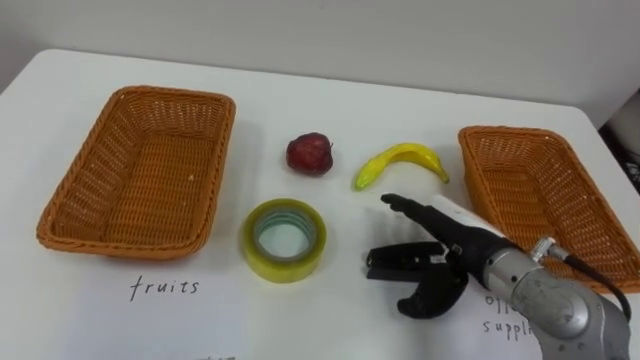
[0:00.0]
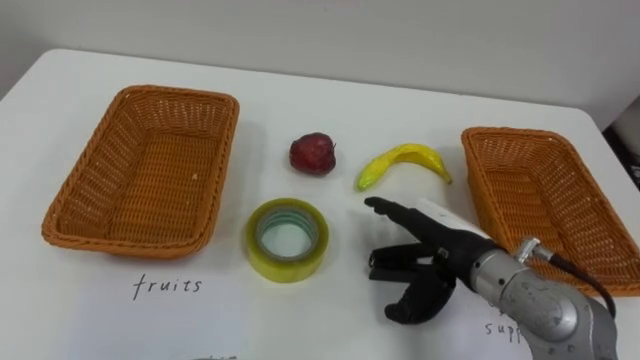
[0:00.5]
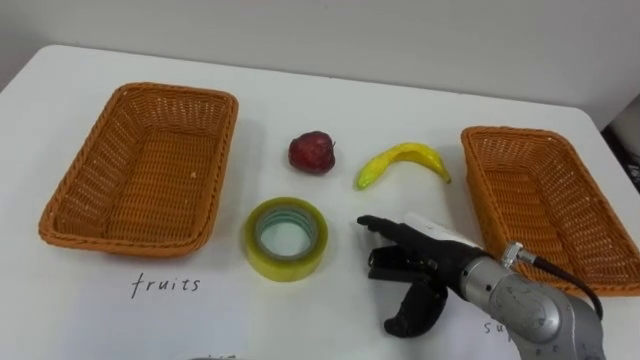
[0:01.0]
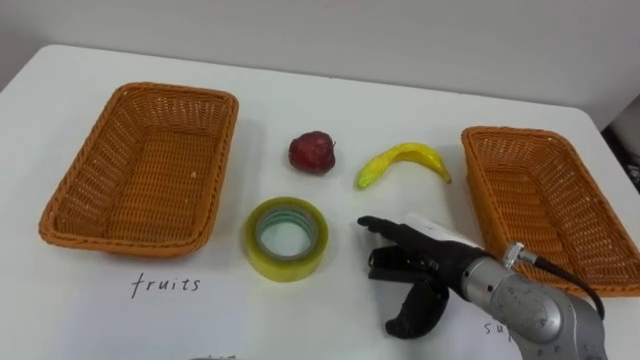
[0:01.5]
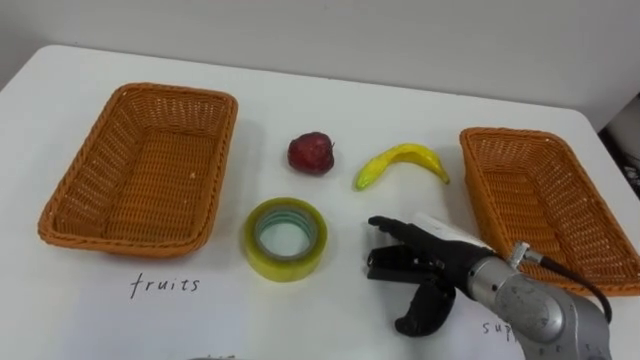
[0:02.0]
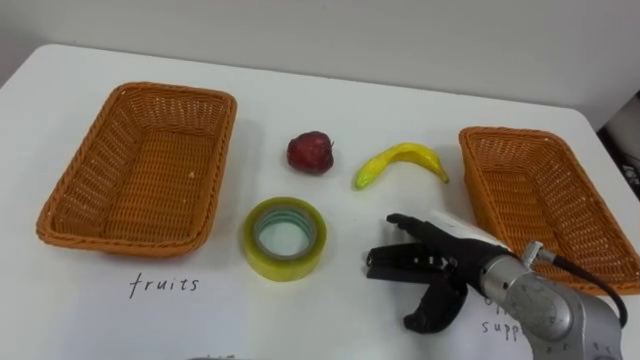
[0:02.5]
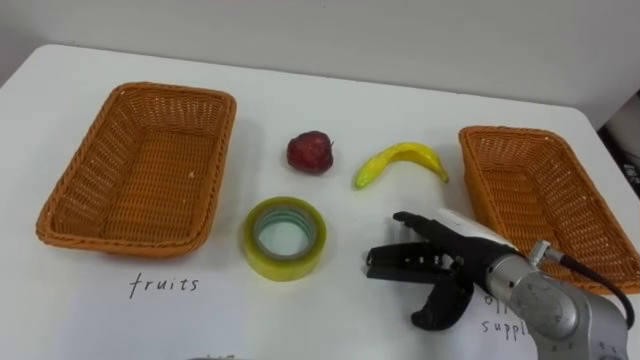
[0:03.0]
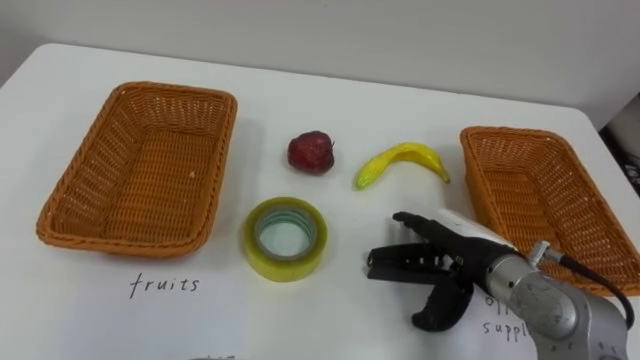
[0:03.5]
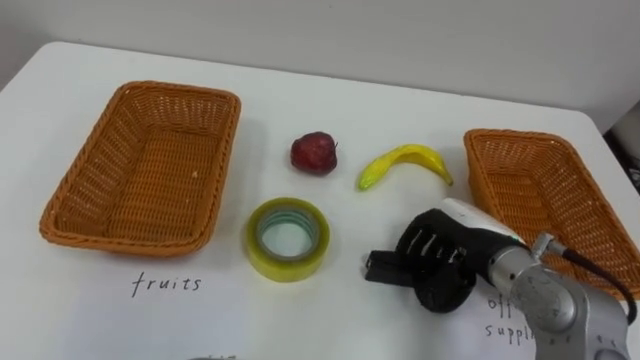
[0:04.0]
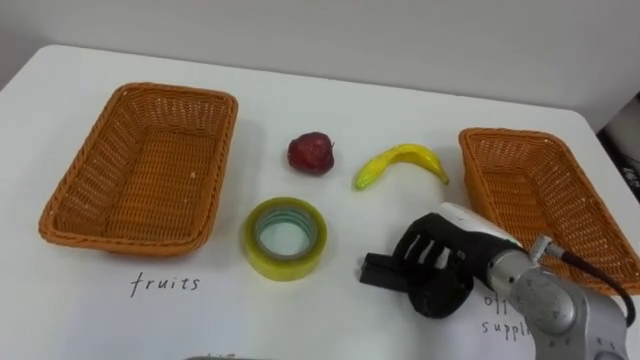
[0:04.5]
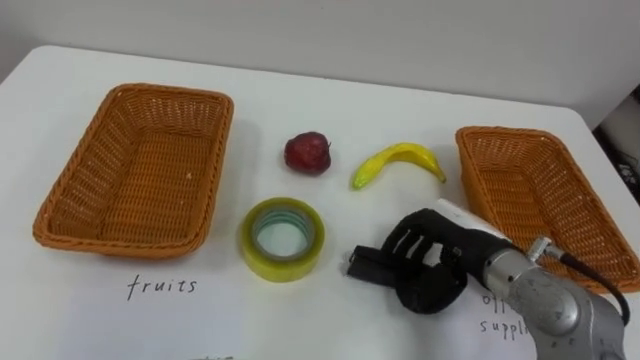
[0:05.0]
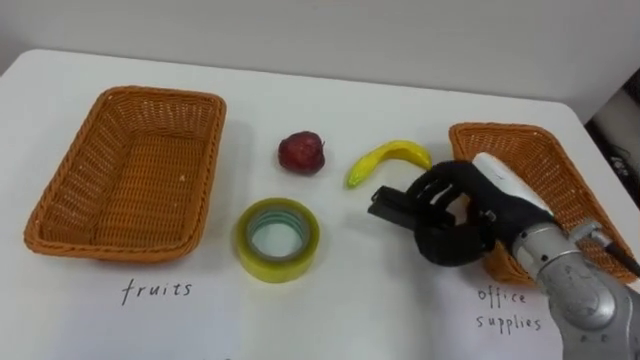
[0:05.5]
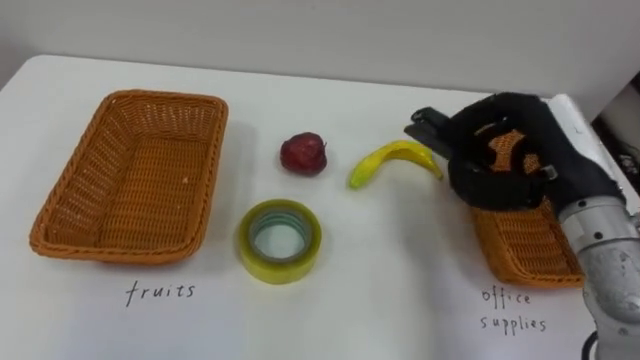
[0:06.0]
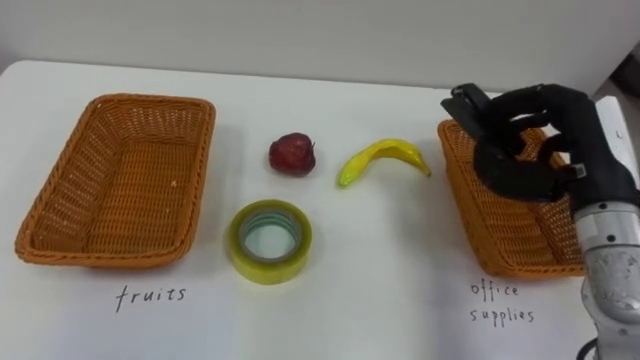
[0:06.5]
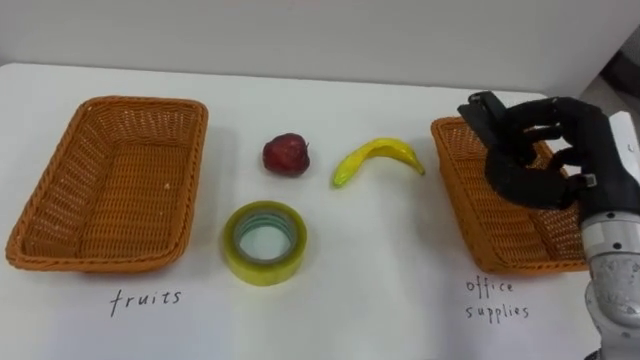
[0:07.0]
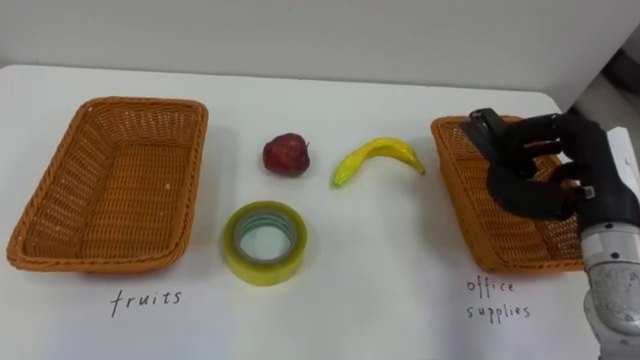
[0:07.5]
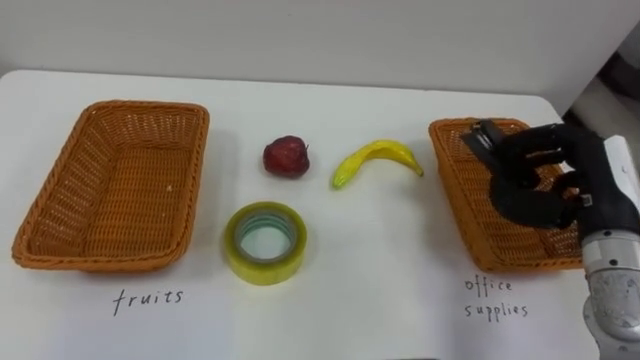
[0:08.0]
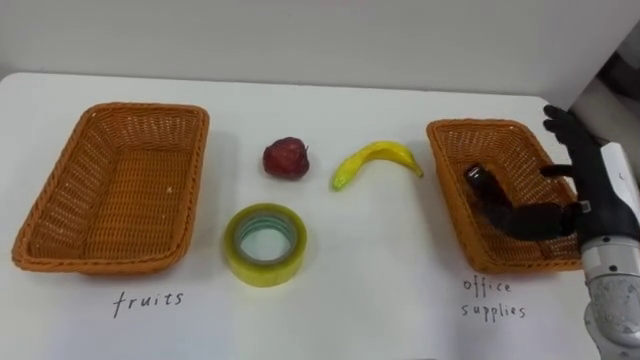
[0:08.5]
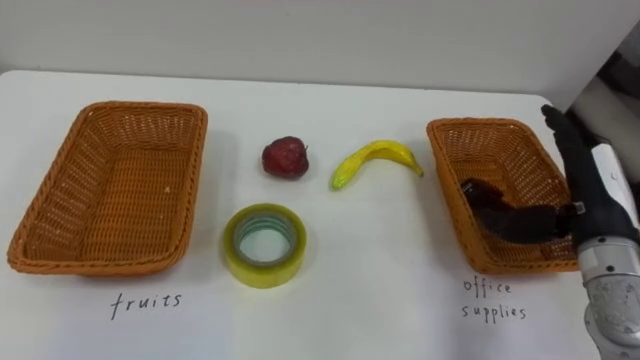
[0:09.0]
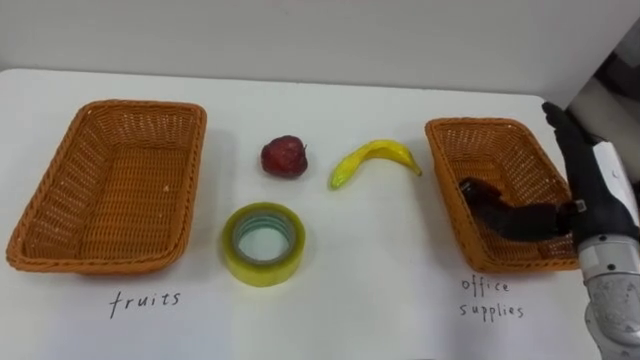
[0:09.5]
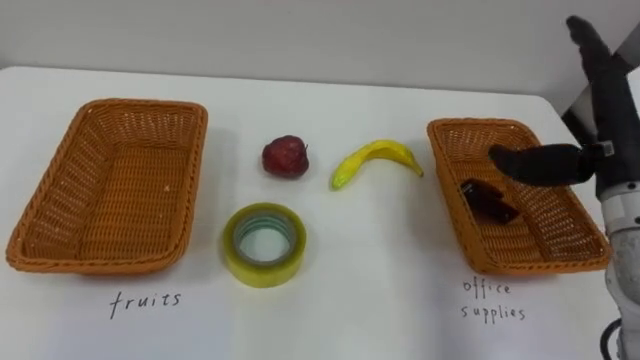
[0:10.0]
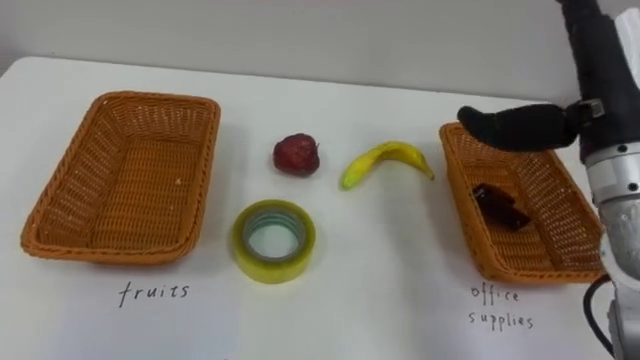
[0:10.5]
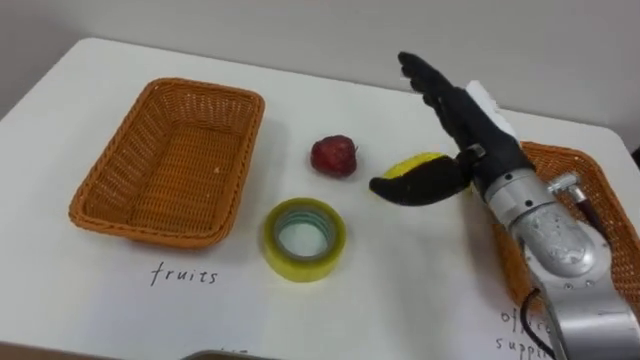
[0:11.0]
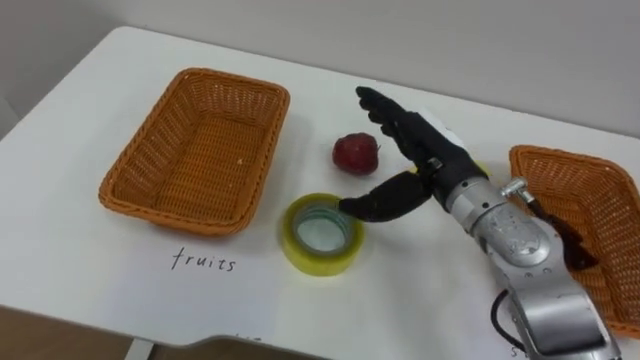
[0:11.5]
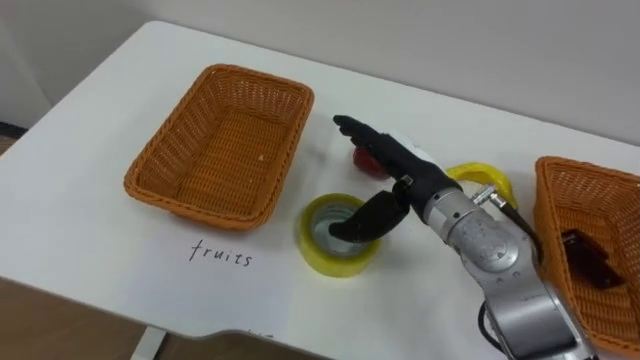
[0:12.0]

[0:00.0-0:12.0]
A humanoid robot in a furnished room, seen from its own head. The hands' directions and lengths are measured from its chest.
Task of the whole recording: Separate the items on the table and place them into the two baskets.
0:02.0 to 0:04.0: The right hand closes.
0:04.0 to 0:06.0: The right hand is displaced upward and to the right by roughly 15 cm.
0:06.0 to 0:08.0: The right hand travels to the right by roughly 5 cm.
0:08.0 to 0:10.0: The right hand goes roughly 5 cm upward, and opens up.
0:10.0 to 0:12.0: The right hand goes approximately 20 cm to the left and downward.

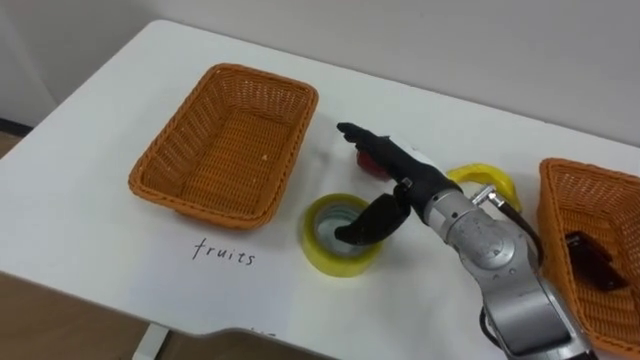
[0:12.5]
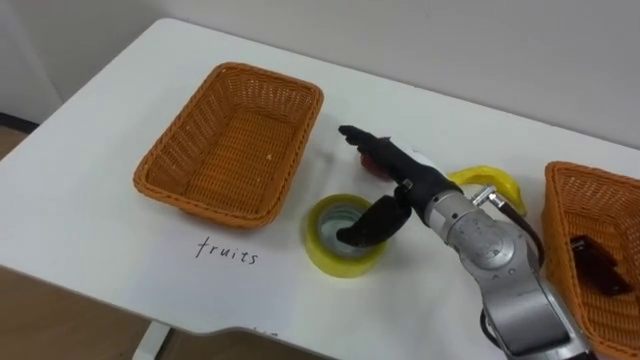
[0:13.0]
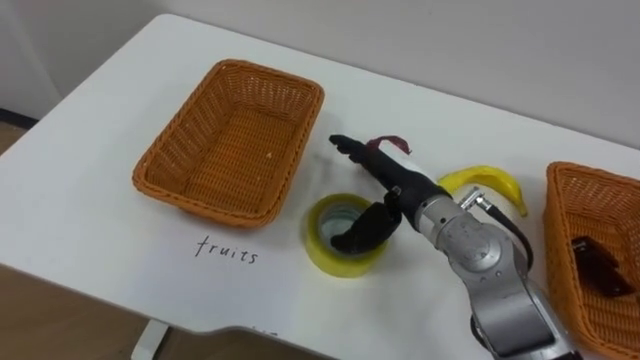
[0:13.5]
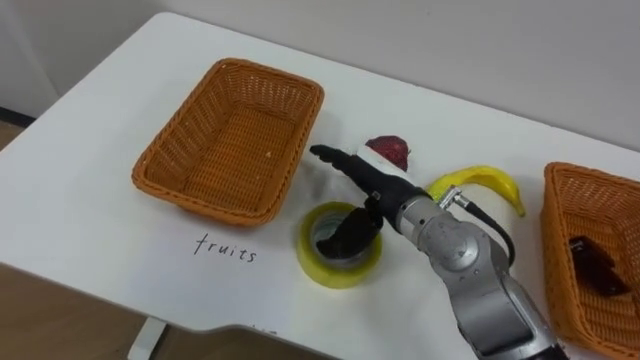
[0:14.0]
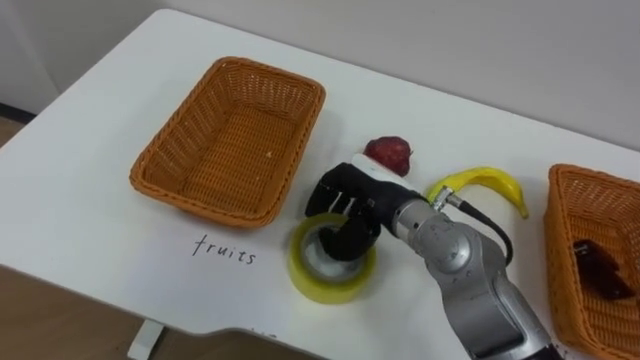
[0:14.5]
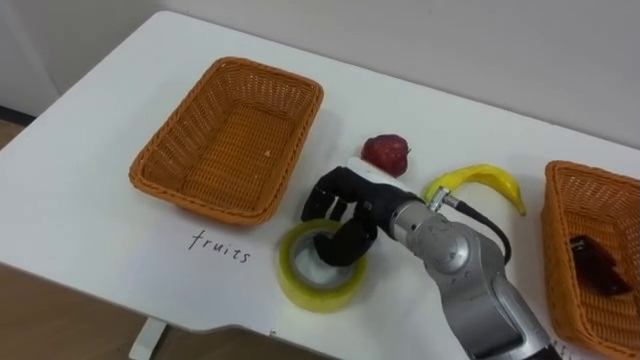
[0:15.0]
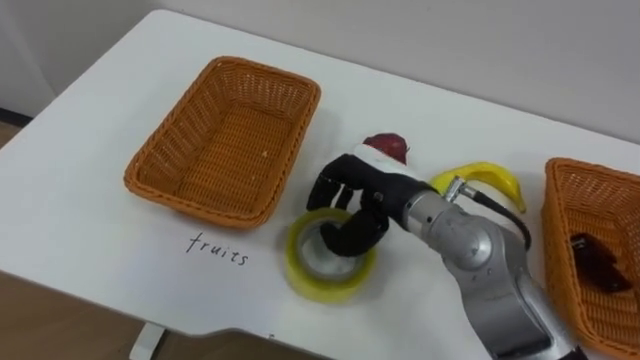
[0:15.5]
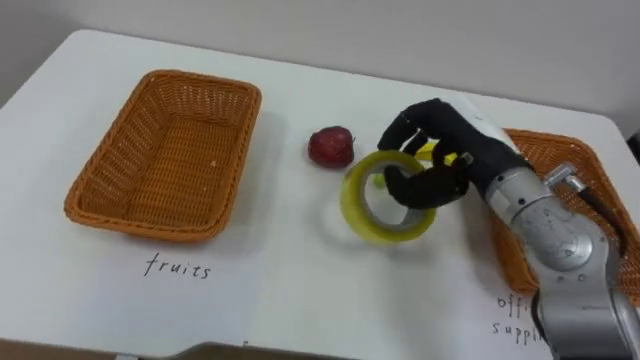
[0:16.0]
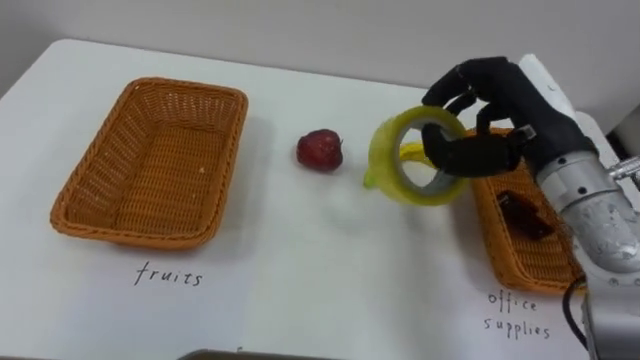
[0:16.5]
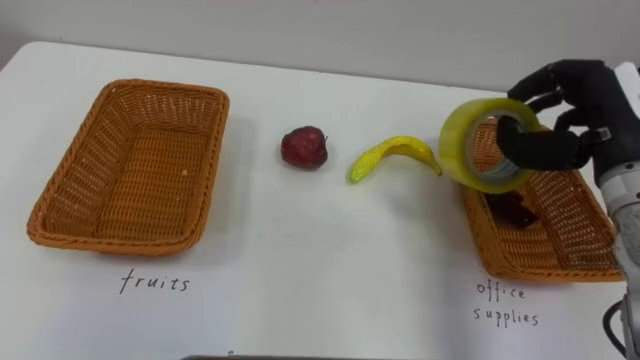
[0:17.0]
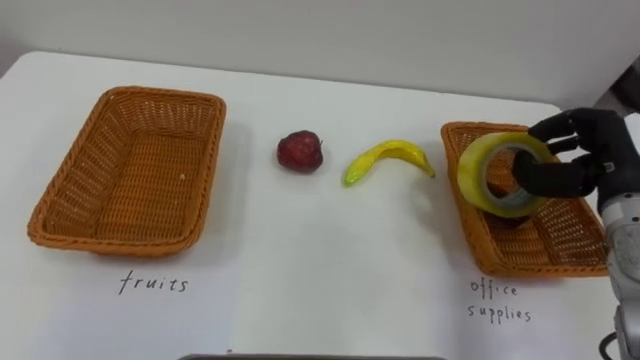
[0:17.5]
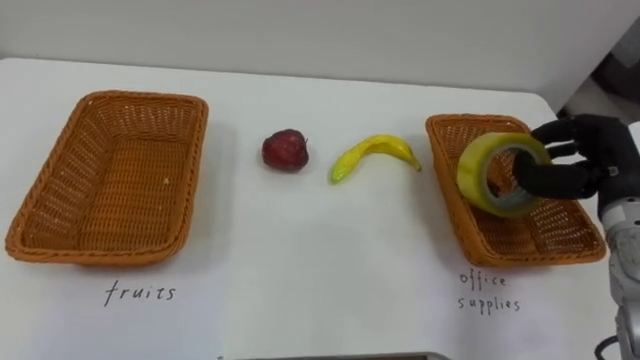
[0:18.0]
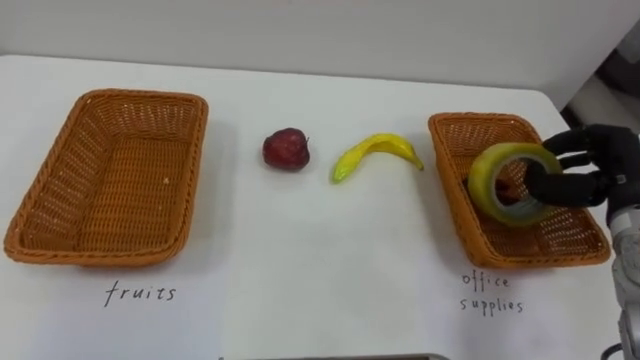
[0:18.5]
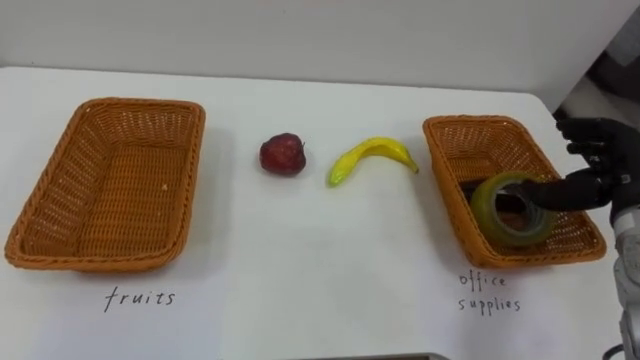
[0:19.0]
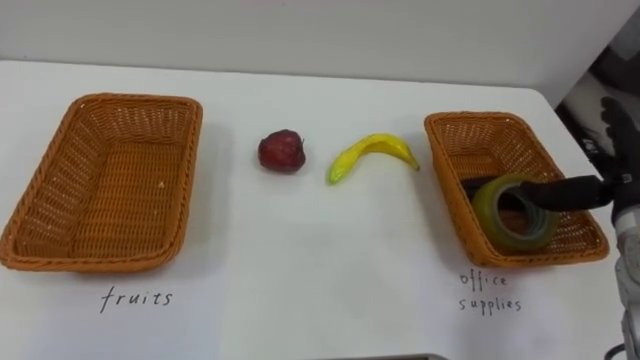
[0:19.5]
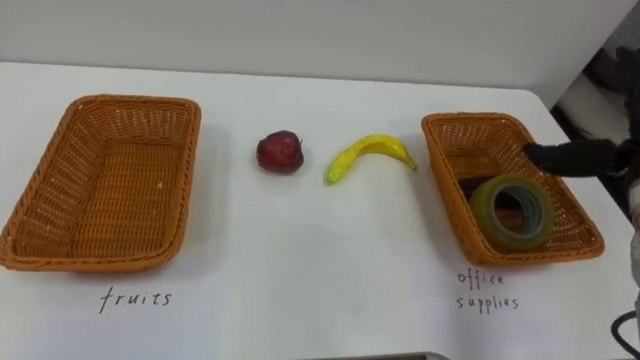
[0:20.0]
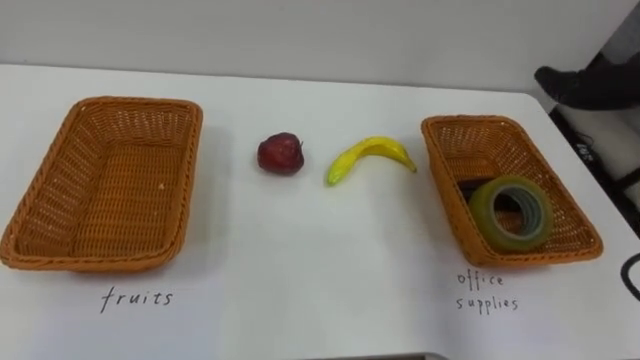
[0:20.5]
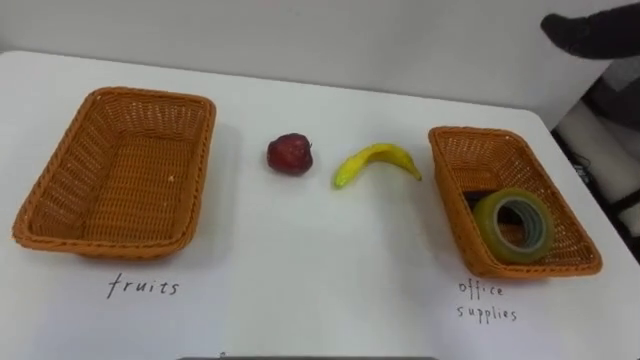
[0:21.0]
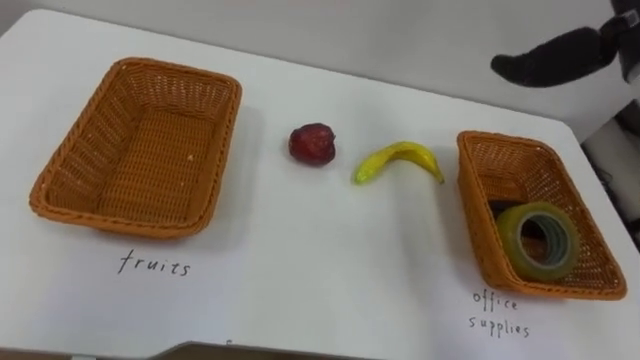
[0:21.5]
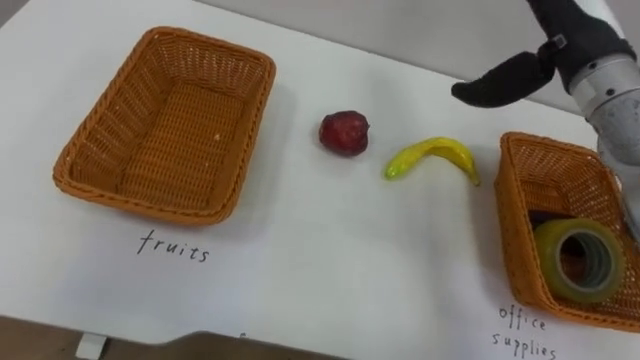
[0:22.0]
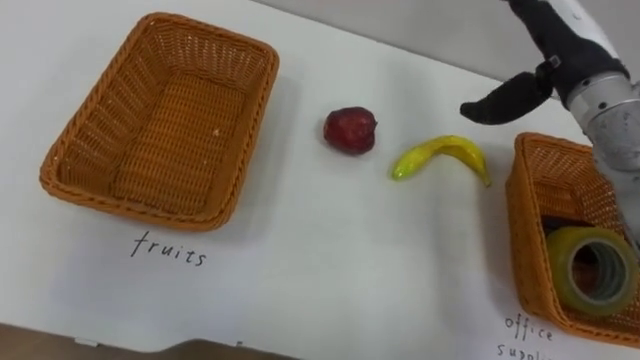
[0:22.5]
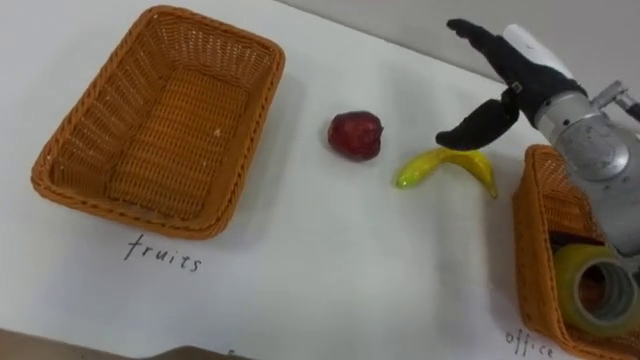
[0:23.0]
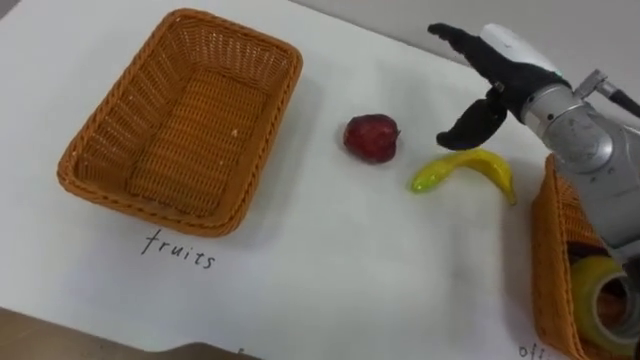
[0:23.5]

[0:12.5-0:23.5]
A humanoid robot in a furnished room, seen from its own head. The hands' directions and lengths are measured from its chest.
Task of the whole recording: Separate the items on the table and place them into the two baskets.
0:12.5 to 0:14.5: The right hand closes.
0:14.5 to 0:16.0: The right hand goes some 10 cm to the right and upward.
0:16.0 to 0:18.0: The right hand travels to the right by approximately 15 cm.
0:21.5 to 0:23.5: The right hand moves downward and to the left, roughly 10 cm.
